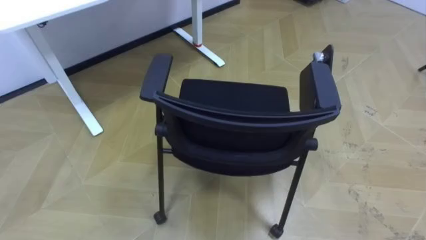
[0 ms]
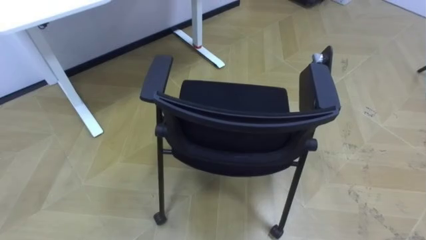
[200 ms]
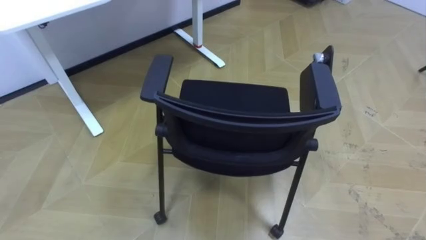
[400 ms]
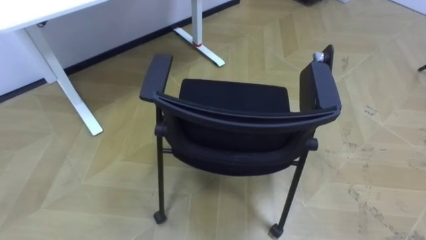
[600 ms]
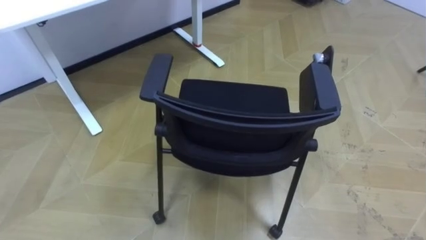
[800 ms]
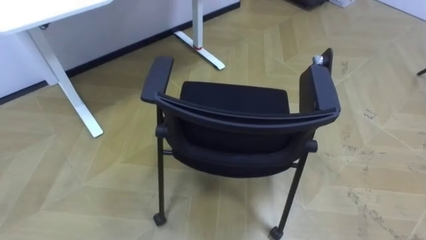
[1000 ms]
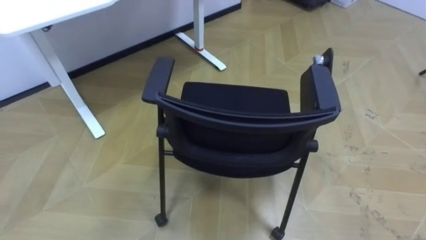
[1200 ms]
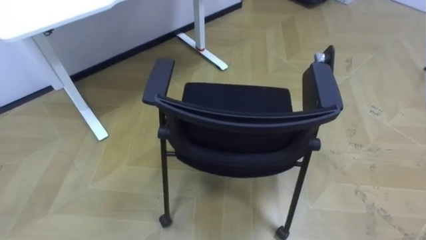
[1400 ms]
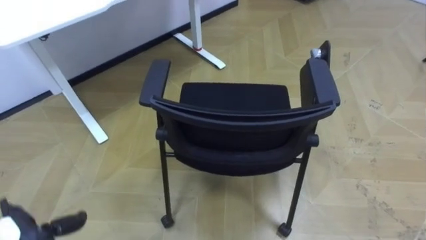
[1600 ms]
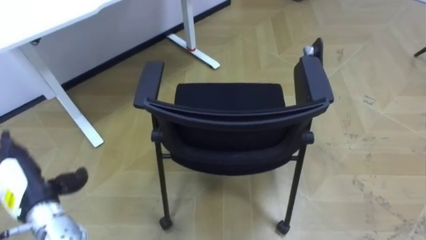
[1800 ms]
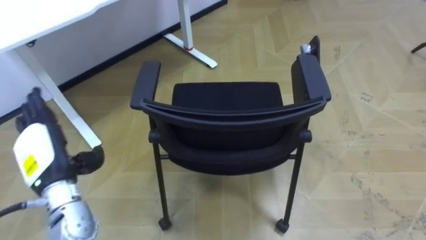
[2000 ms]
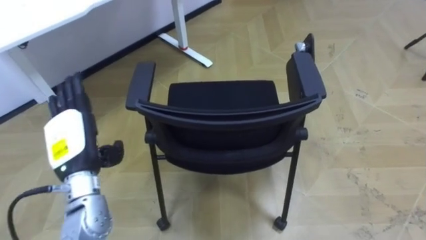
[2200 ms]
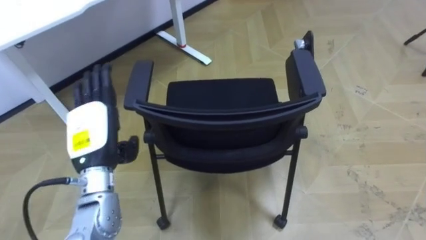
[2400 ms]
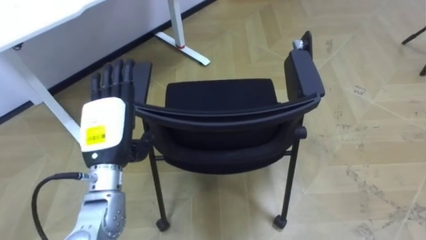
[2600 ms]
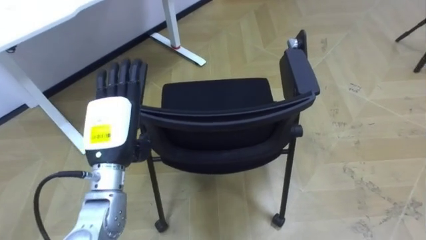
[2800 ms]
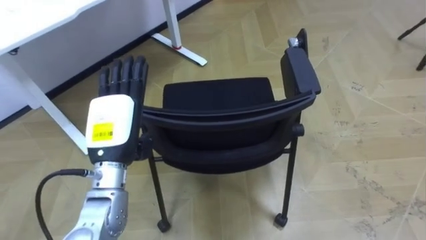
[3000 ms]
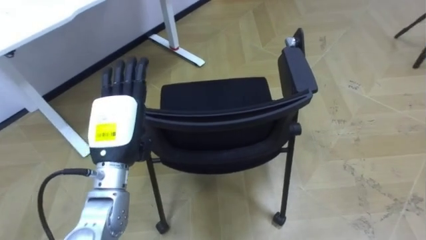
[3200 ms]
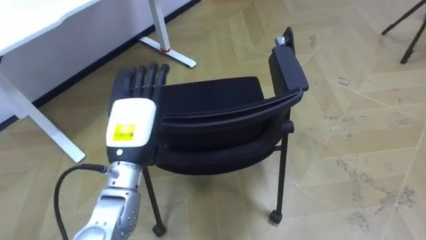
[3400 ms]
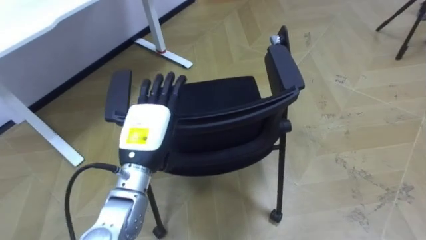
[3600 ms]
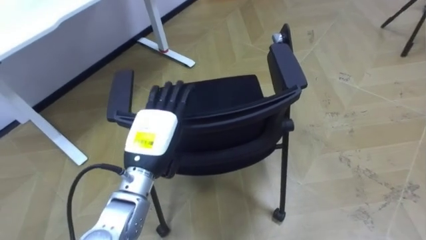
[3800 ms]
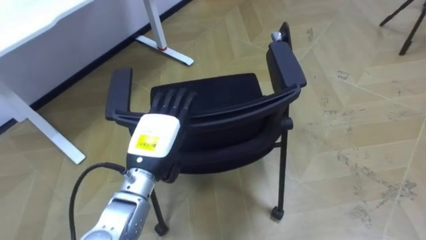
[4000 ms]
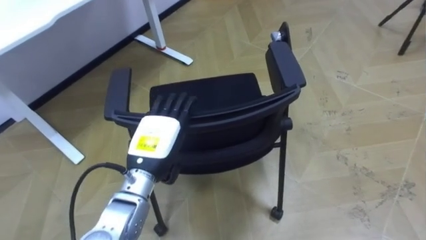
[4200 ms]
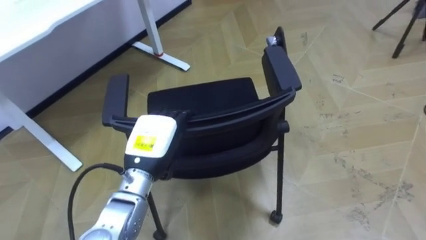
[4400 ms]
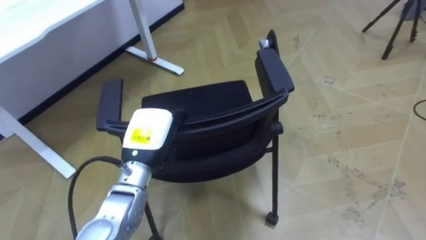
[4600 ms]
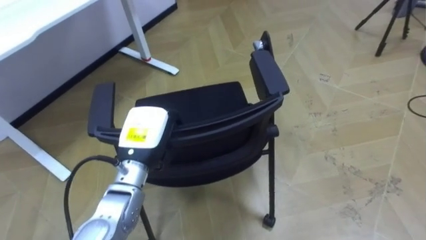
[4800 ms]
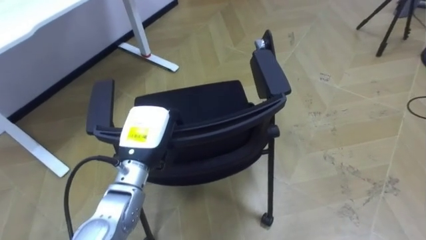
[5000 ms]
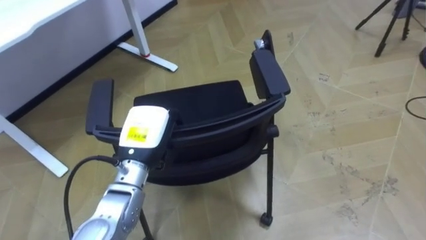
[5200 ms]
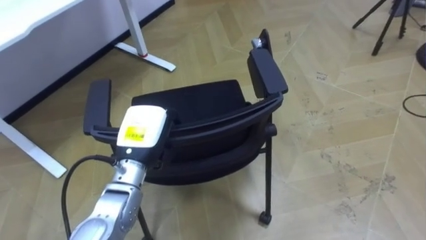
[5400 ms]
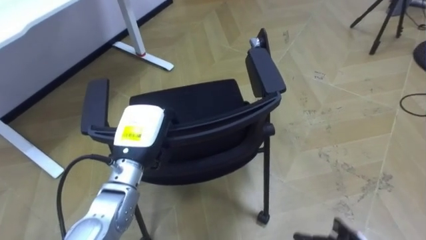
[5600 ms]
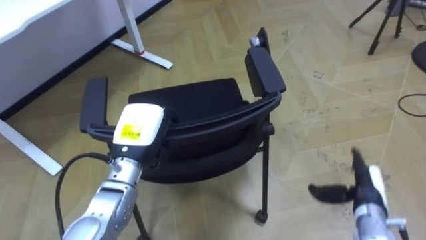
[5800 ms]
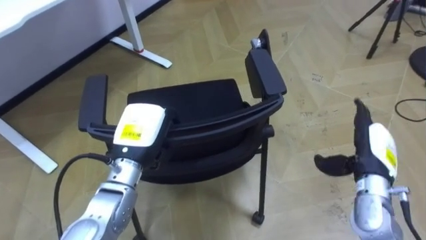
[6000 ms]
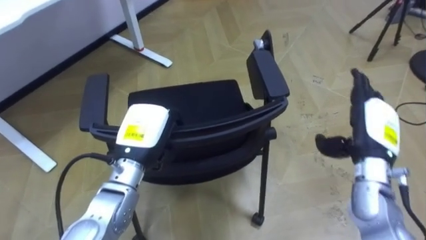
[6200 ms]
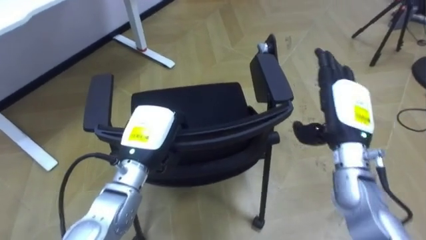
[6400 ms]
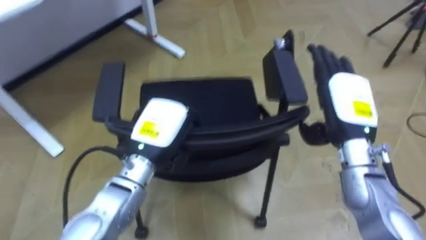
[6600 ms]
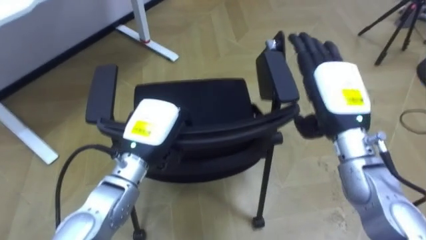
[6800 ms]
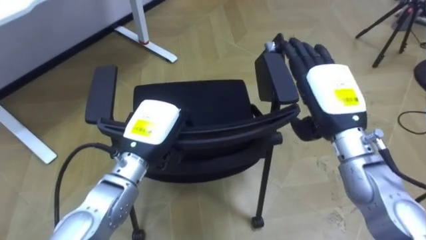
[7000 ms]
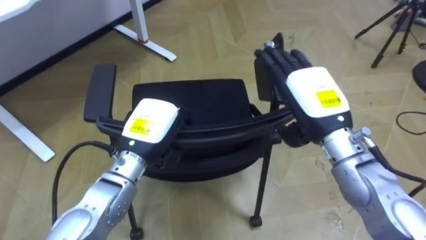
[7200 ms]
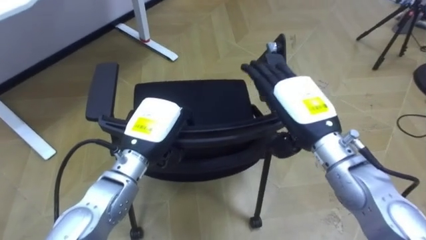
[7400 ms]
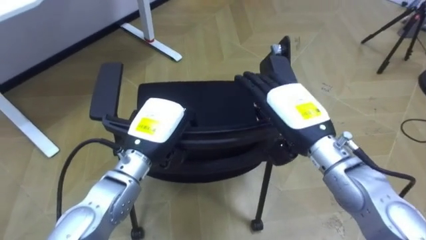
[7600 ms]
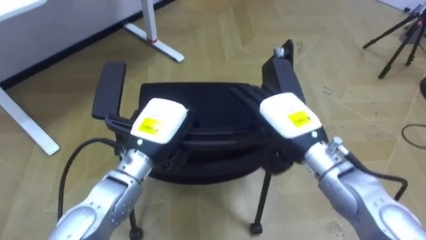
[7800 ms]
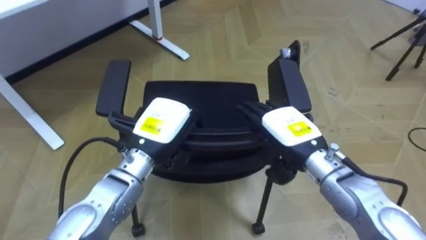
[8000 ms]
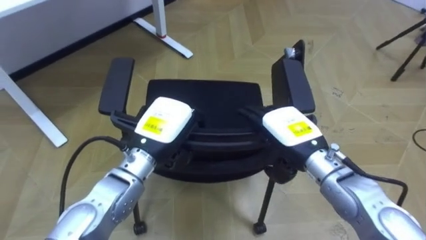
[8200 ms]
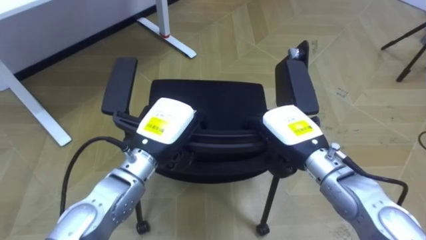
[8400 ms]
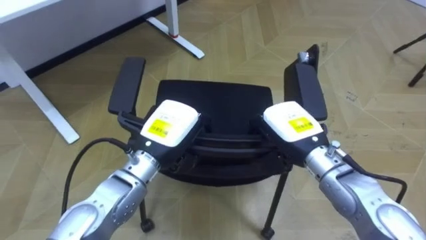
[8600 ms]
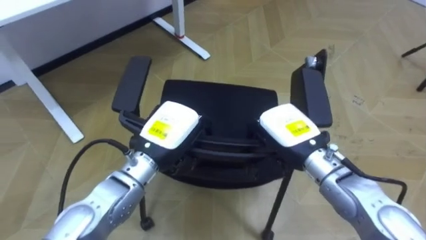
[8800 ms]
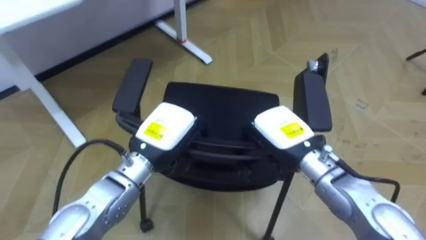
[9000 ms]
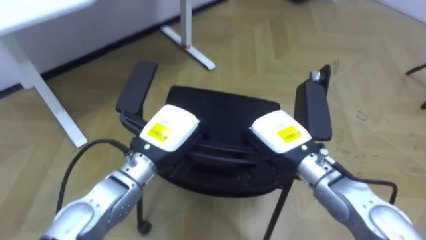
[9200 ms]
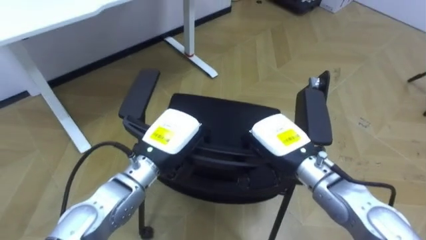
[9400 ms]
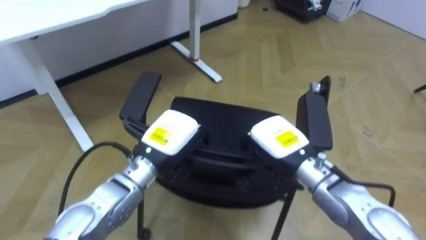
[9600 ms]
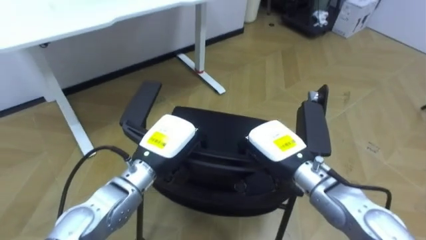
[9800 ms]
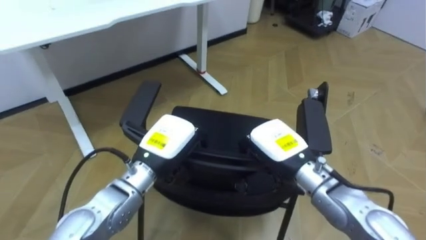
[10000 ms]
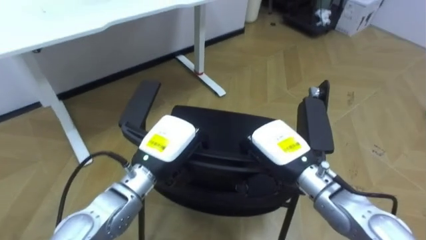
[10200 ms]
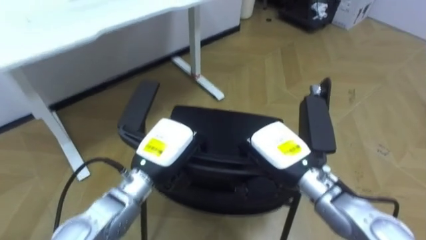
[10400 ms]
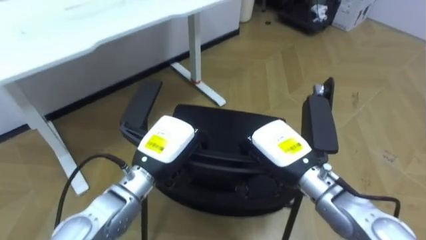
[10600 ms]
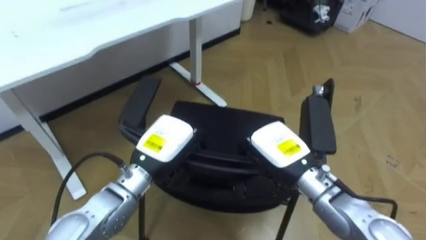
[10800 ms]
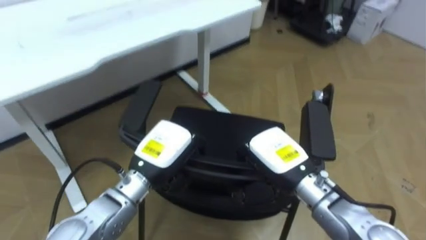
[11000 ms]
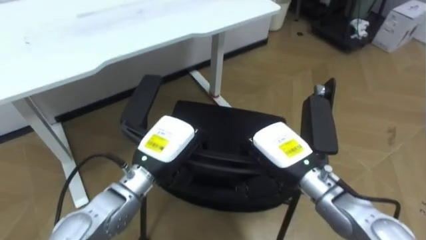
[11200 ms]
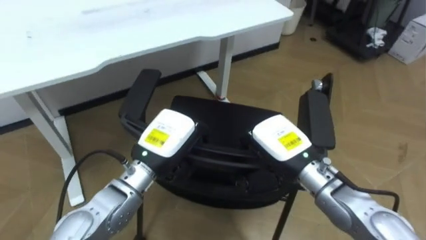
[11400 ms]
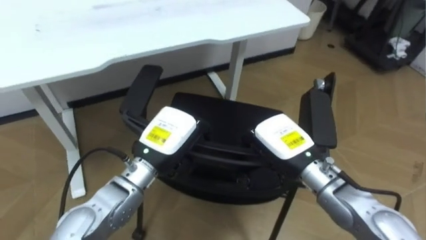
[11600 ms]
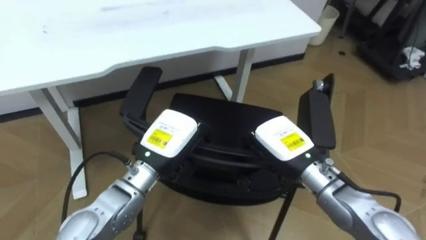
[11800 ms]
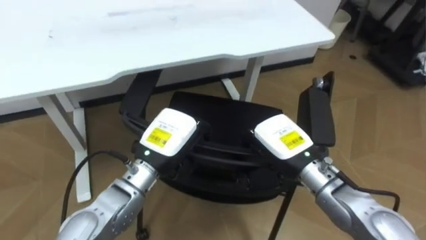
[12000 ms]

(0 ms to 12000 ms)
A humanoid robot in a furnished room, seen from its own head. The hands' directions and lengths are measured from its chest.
Task of the whole recording: Push the chair under the table.
1600 ms - 3000 ms: The left hand shifts some 25 cm to the right, upward and forward.
3000 ms - 4400 ms: The left hand moves to the right and downward, approximately 10 cm.
4400 ms - 6000 ms: The left hand closes.
6000 ms - 7600 ms: The right hand travels to the left and upward by approximately 20 cm.
7600 ms - 9000 ms: The right hand shifts by about 5 cm, and closes its fingers.
10400 ms - 12000 ms: The robot turns to its left by some 20 degrees.

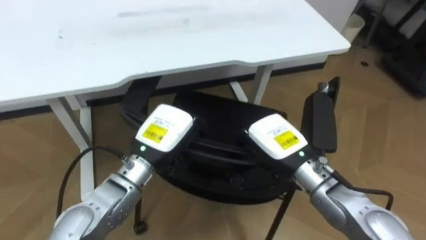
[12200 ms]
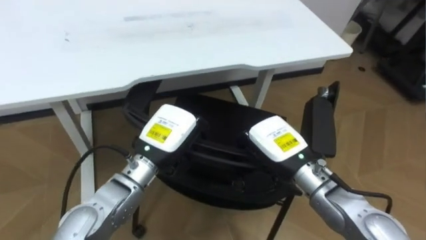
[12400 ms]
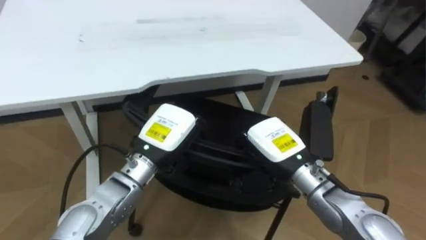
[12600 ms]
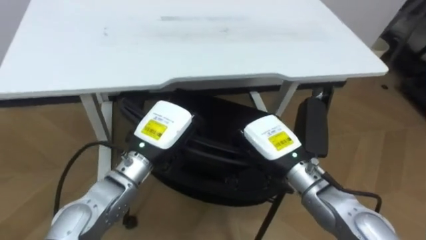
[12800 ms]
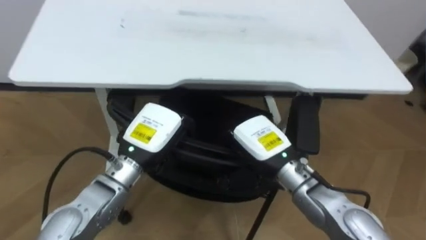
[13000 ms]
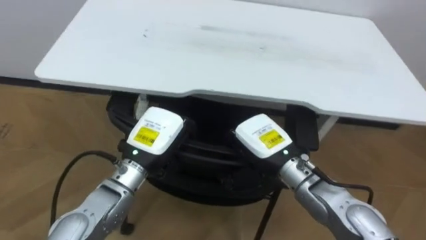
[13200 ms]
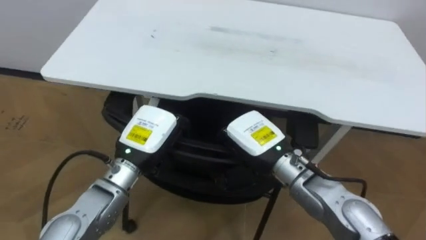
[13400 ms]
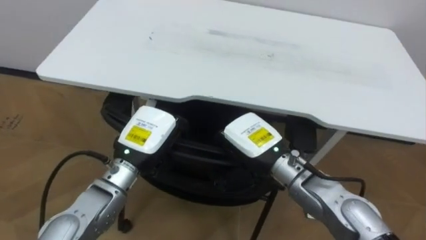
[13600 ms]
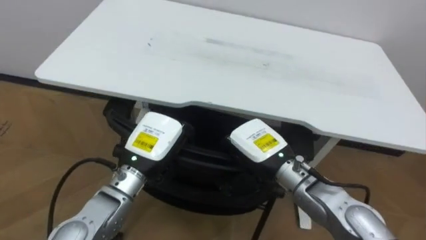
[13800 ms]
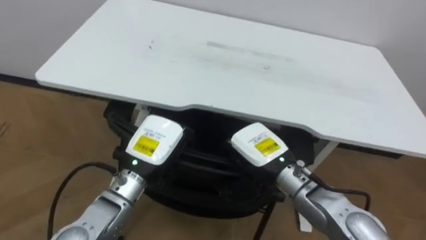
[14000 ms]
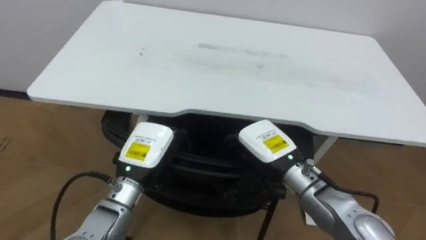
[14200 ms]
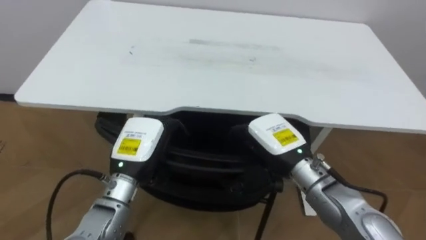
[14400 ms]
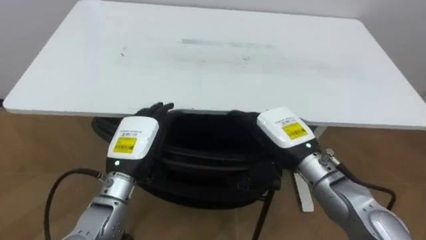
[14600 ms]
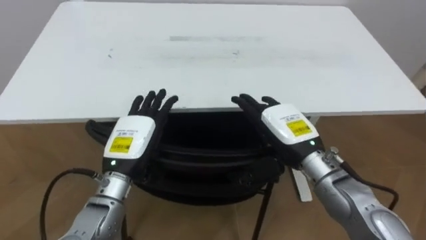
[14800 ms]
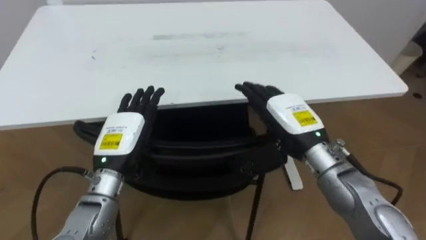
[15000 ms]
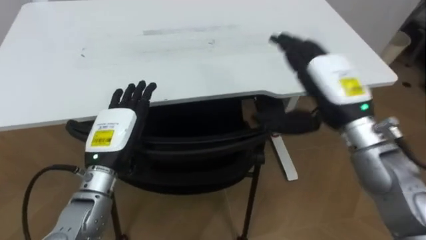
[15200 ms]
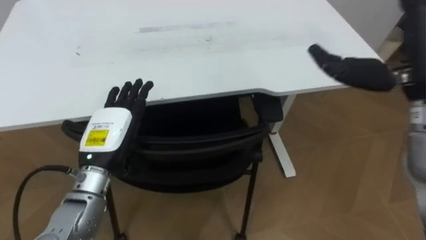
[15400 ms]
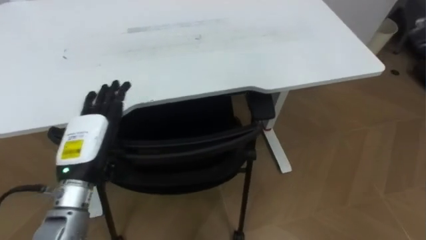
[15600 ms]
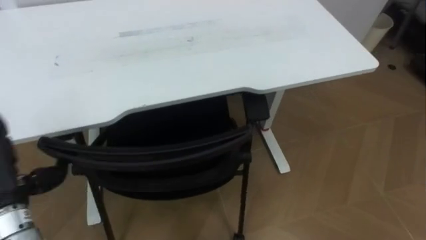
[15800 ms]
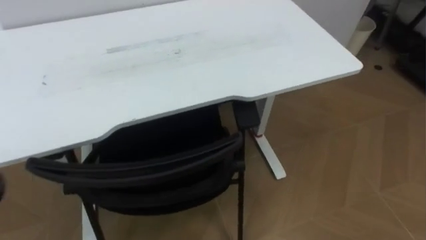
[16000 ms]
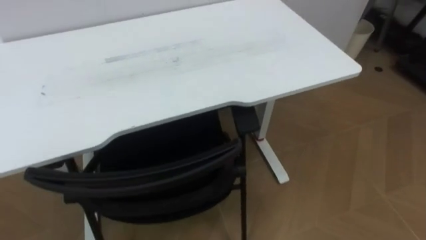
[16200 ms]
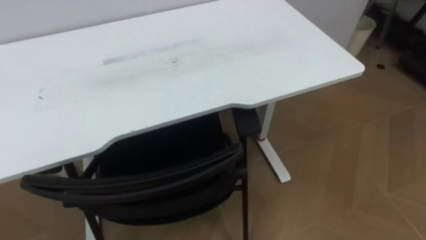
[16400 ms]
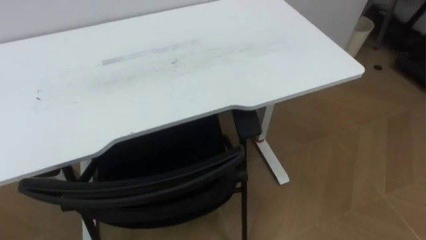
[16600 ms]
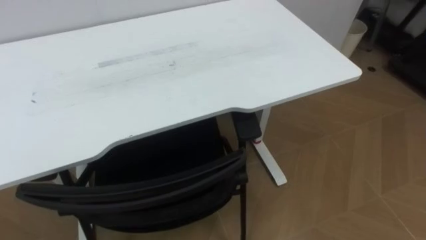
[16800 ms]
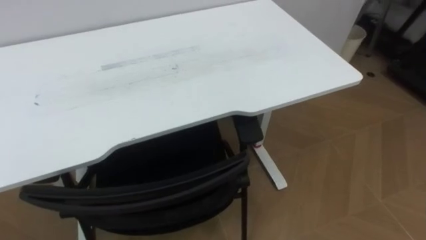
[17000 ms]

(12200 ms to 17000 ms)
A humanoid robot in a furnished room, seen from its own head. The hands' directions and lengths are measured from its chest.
Task of the whole recording: Push the chair under the table.
12200 ms - 13800 ms: The robot faces roughly 20 degrees further to its left.
13800 ms - 15400 ms: The robot rotates about 15 degrees to its right. The left hand heads to the left, covering approximately 10 cm, and opens its fingers.
